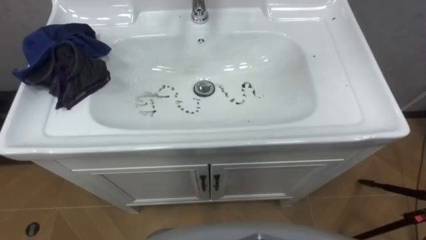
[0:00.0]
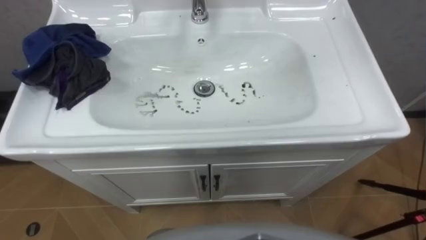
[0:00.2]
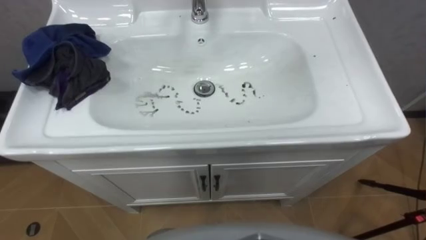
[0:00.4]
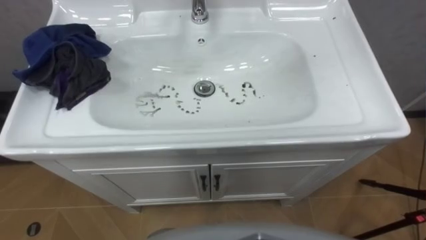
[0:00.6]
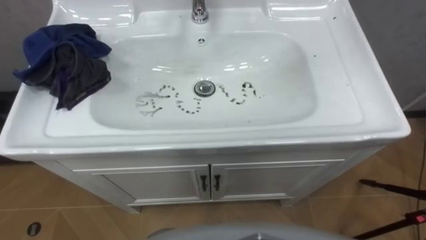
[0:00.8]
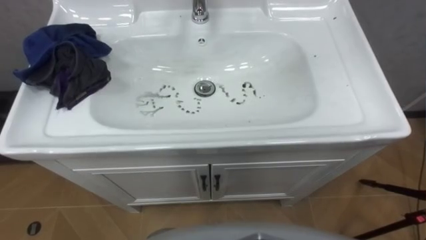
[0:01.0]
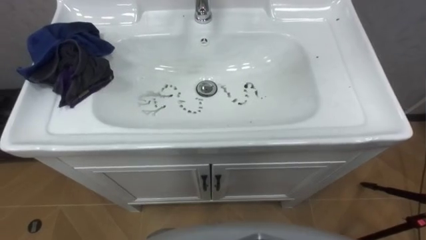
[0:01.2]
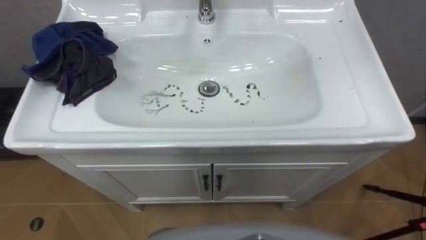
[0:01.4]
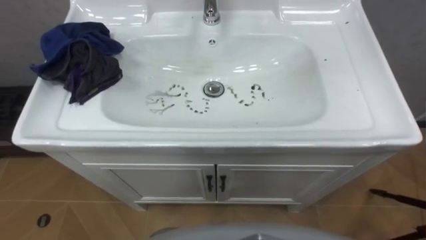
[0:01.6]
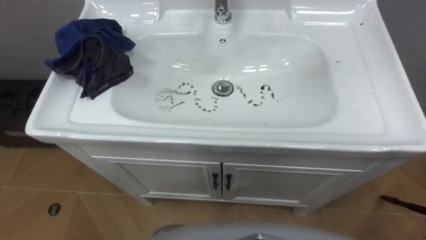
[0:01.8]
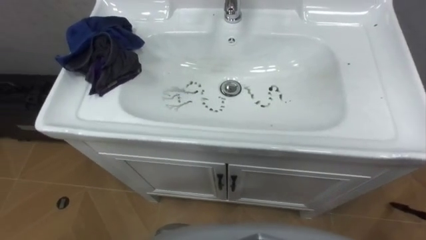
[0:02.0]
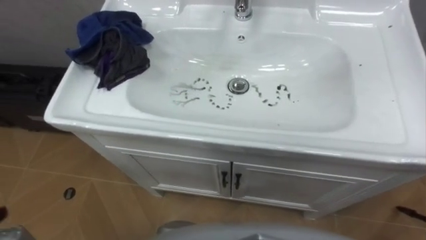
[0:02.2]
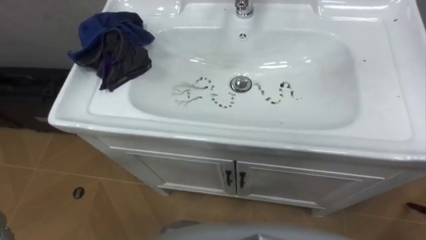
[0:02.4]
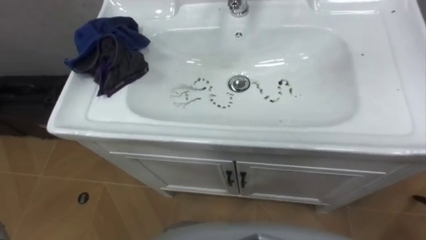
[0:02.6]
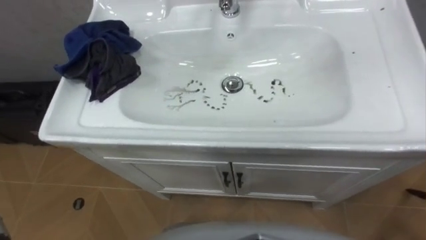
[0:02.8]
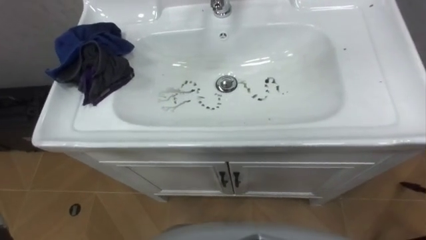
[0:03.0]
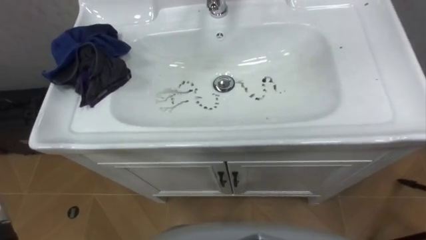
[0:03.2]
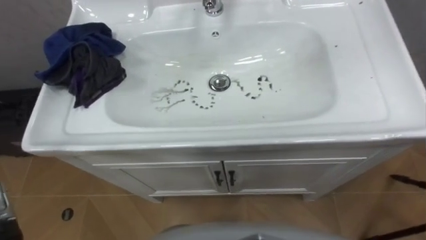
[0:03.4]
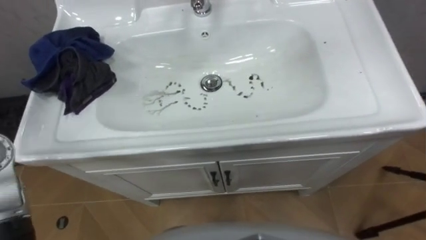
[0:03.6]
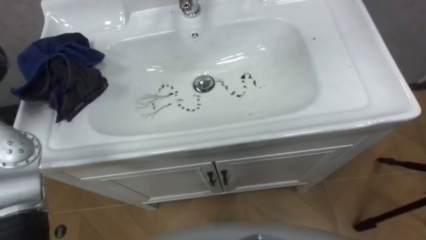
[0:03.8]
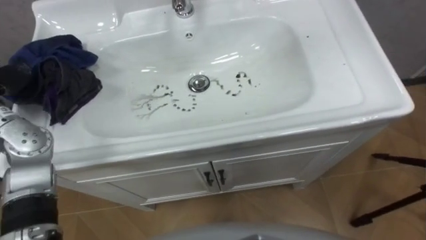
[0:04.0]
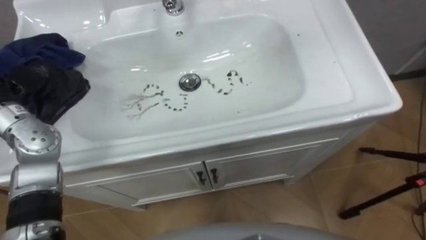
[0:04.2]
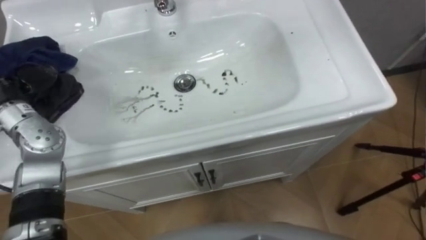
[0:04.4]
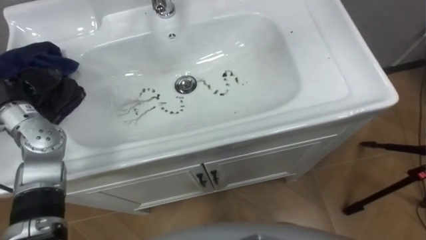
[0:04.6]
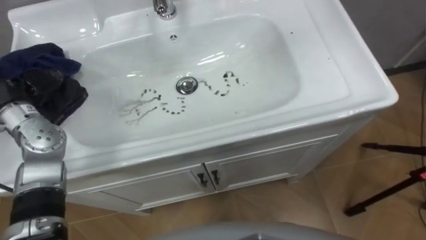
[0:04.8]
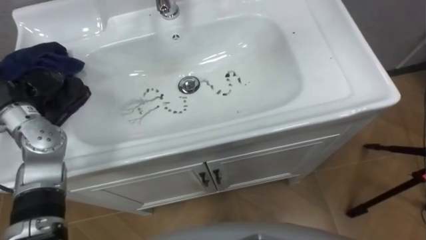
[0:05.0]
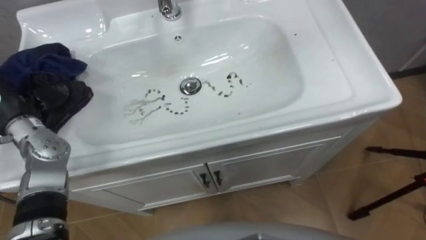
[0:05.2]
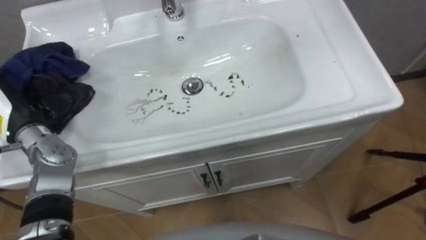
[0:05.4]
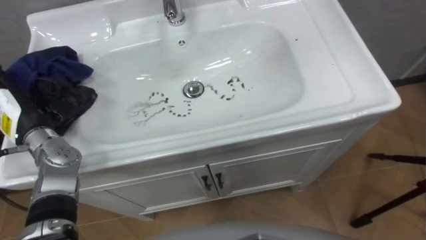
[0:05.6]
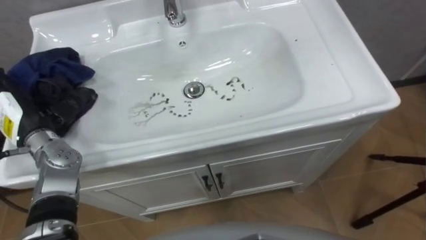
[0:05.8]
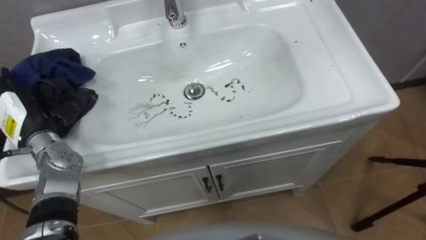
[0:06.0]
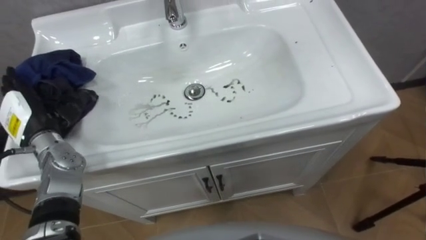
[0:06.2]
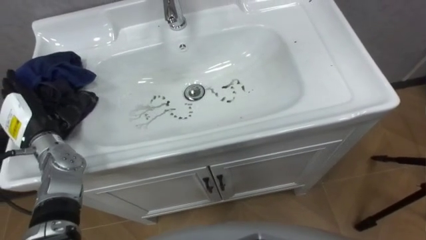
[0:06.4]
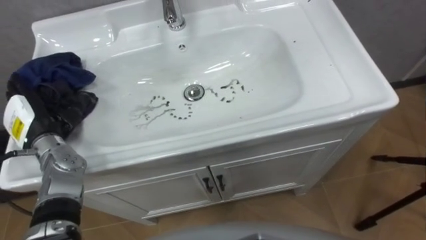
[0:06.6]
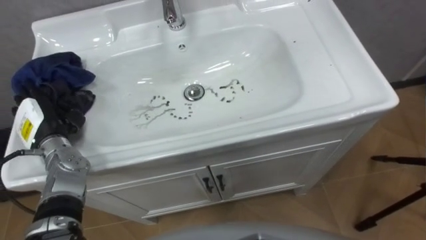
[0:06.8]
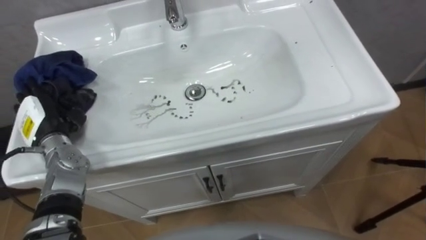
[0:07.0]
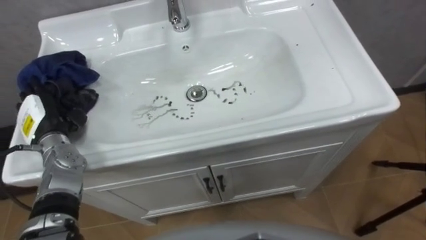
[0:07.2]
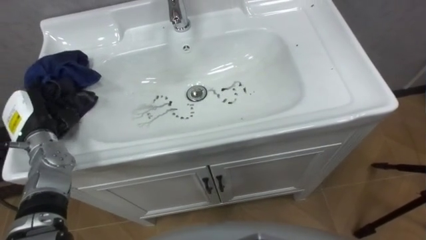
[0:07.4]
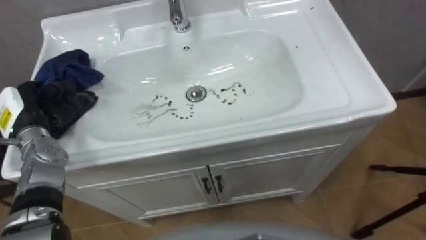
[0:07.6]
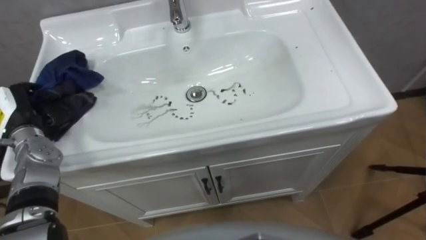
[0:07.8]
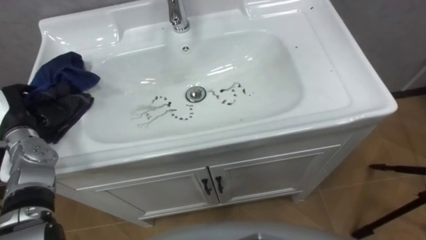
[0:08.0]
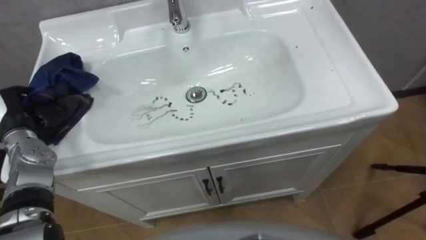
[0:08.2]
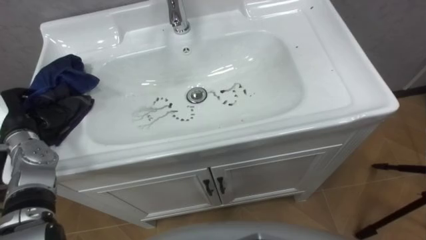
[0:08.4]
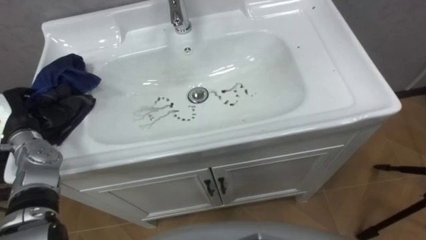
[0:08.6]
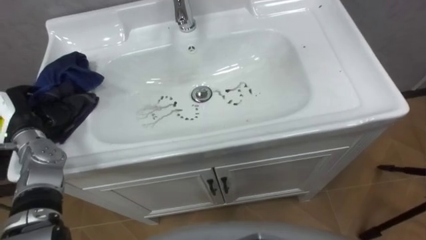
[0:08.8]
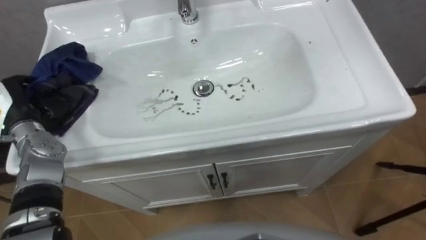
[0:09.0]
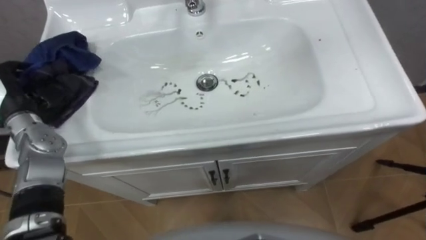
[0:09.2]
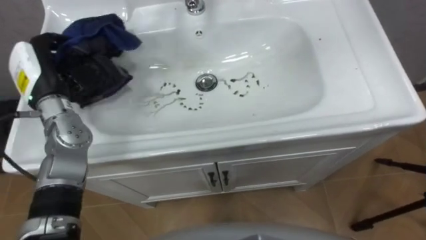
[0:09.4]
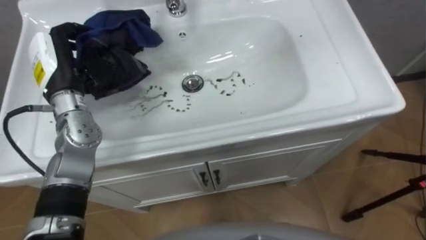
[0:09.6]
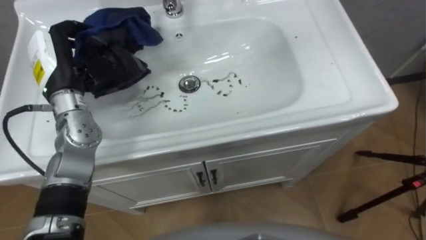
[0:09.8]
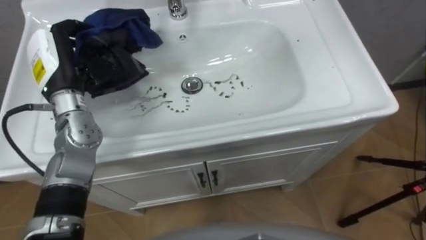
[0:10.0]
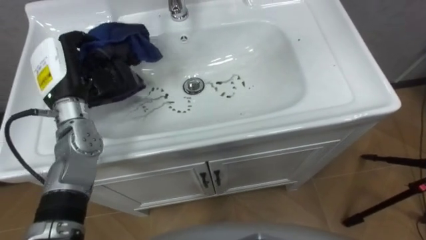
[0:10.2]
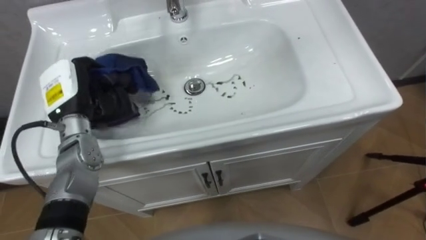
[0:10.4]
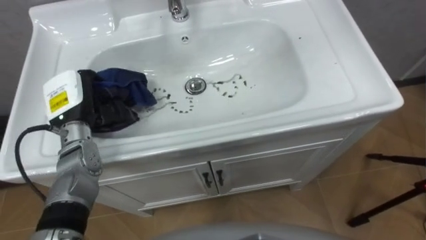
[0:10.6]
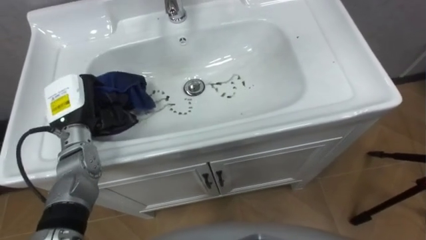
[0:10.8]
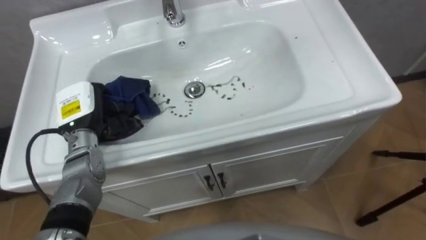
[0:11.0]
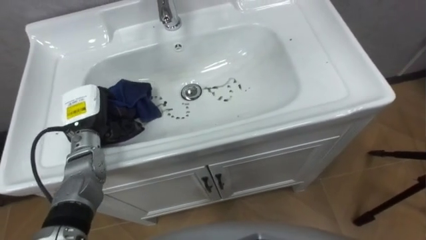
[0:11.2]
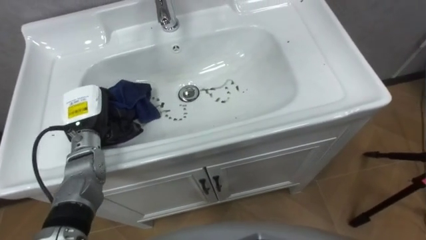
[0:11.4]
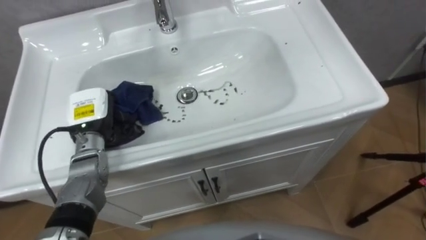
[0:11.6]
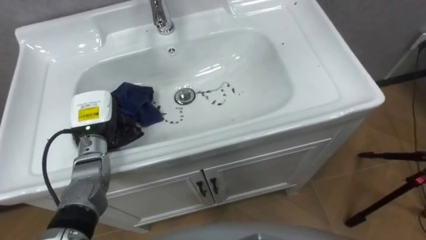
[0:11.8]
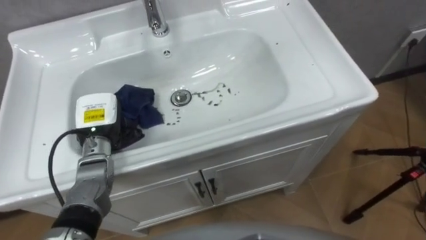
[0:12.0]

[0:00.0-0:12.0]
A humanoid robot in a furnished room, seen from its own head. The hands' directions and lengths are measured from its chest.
Task of the whole recording: Use the cloth on the right to wipe away the black stain in the sink.
0:06.0 to 0:07.6: The left hand closes its fingers.
0:09.0 to 0:10.4: The left hand goes some 10 cm to the right.
0:10.4 to 0:12.0: The left hand heads downward, covering roughly 10 cm.

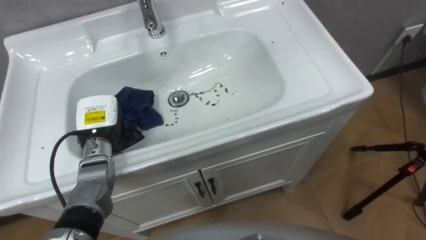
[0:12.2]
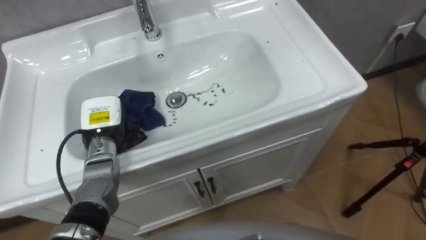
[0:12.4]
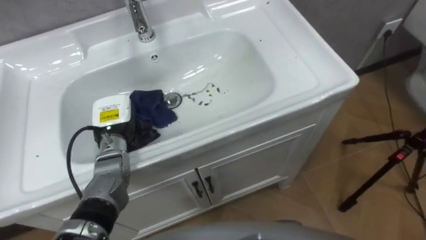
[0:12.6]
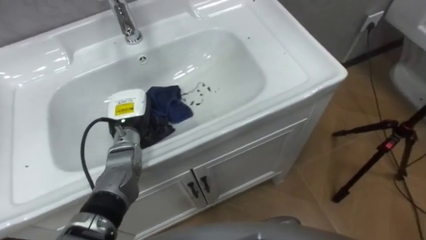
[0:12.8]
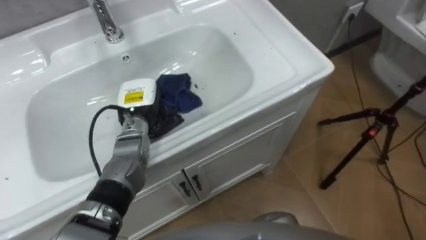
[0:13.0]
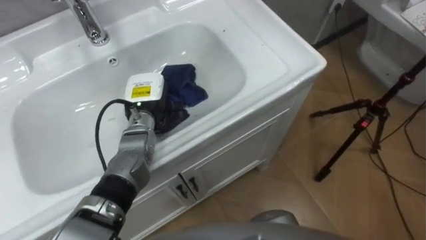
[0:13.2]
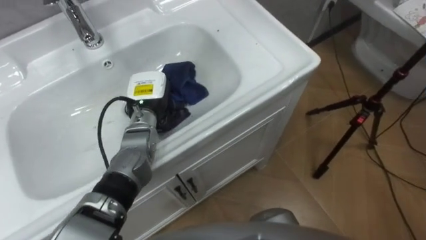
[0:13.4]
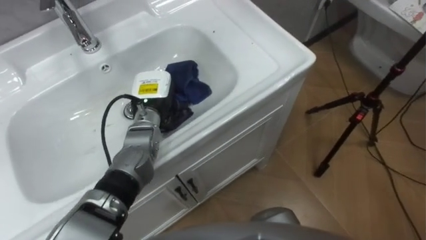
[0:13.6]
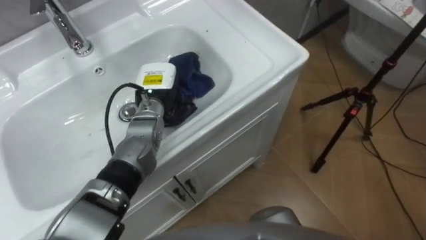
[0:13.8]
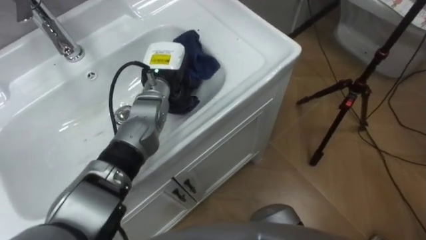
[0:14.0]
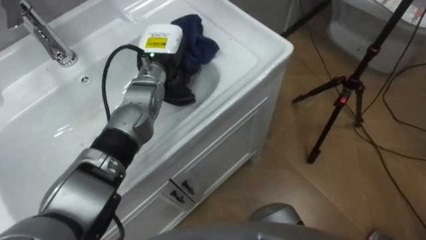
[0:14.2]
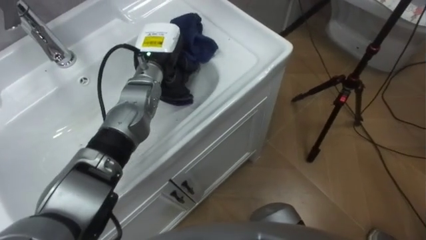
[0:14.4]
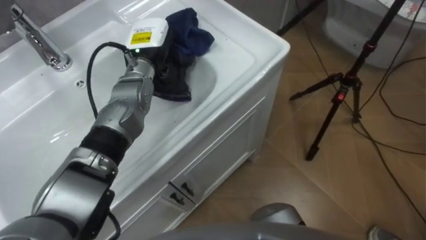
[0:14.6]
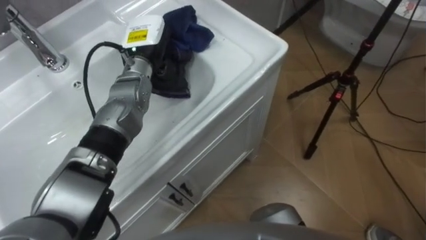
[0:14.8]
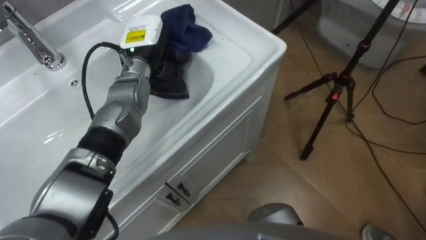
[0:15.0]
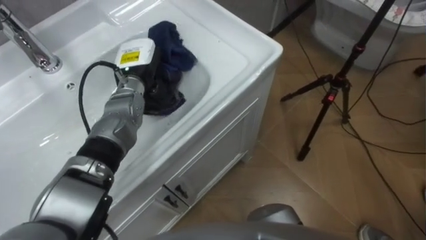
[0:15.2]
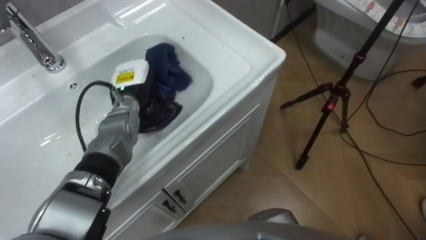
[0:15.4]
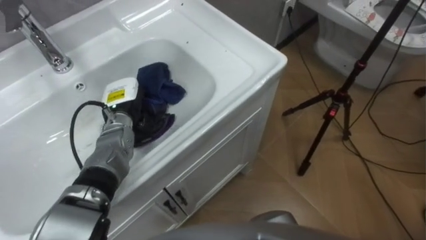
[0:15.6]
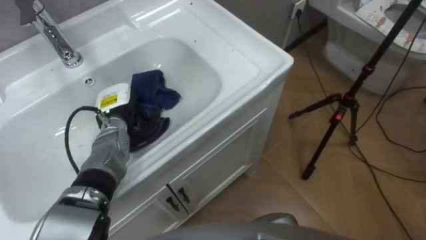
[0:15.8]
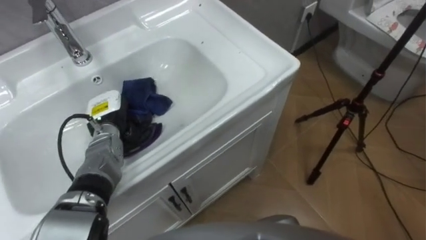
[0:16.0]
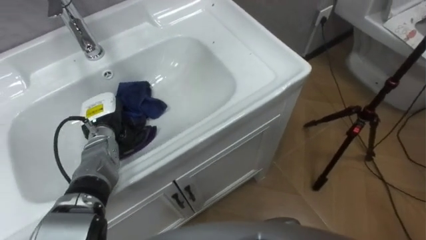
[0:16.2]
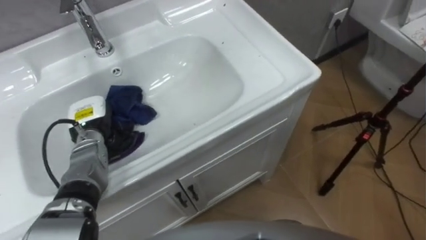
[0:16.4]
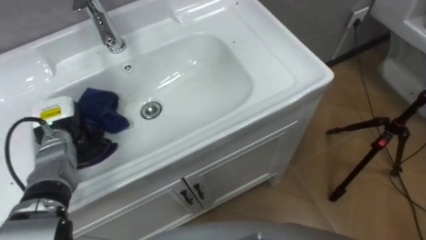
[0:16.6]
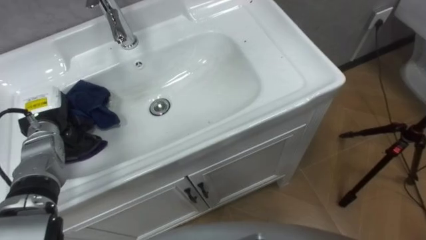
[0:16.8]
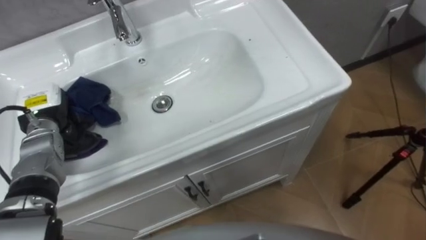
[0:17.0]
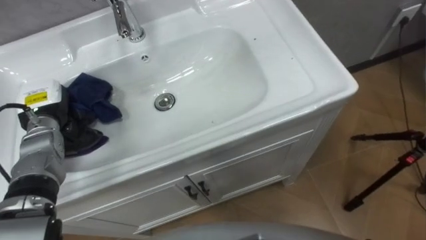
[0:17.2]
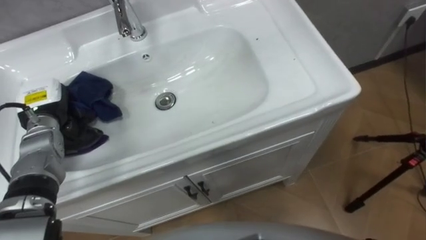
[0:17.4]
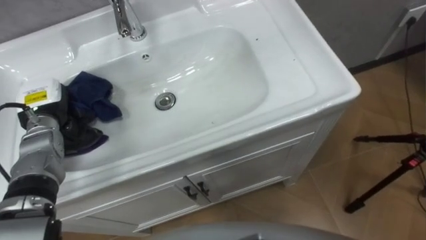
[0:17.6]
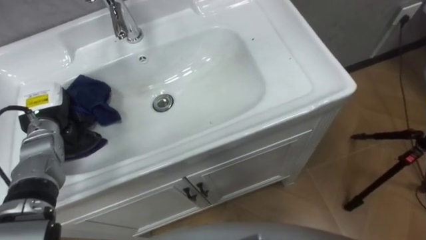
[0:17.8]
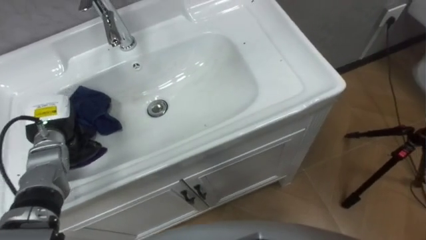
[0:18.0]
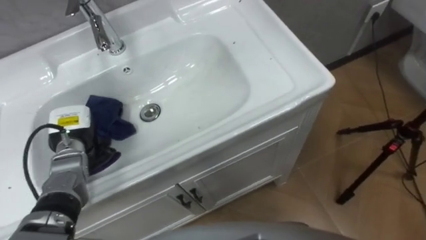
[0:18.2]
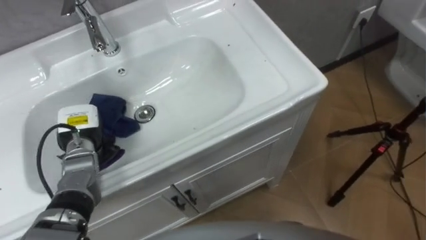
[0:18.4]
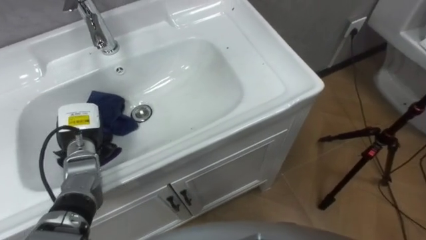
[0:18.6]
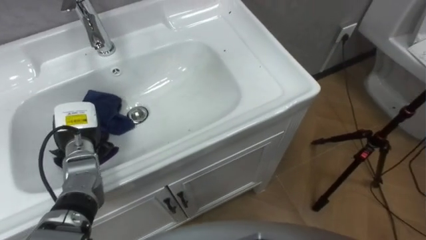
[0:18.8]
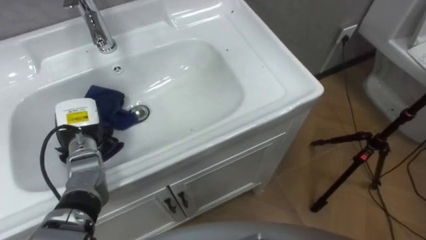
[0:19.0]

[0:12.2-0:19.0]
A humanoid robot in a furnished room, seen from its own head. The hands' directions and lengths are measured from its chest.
Task of the whole recording: Use the cloth on the right to wipe away the black stain in the sink.
0:12.2 to 0:13.6: The left hand moves to the right and forward, about 15 cm.
0:13.6 to 0:15.0: The left hand shifts about 10 cm upward and forward.
0:15.0 to 0:16.2: The left hand shifts roughly 20 cm downward, to the left and backward.
0:16.2 to 0:17.6: The left hand shifts about 10 cm to the left and upward.
0:17.6 to 0:19.0: The left hand is displaced to the right by about 5 cm.
